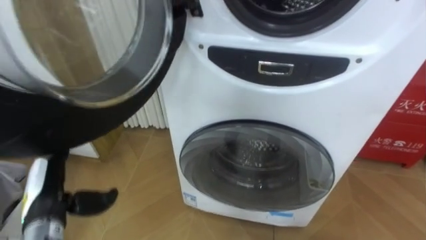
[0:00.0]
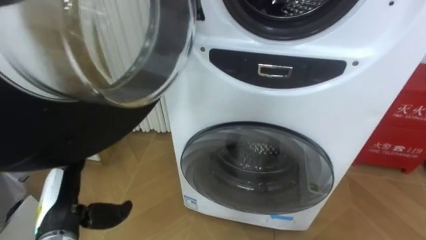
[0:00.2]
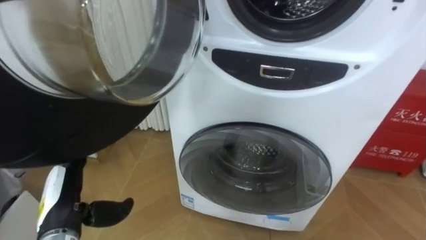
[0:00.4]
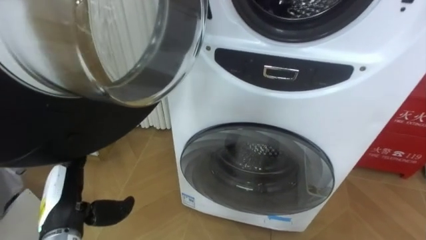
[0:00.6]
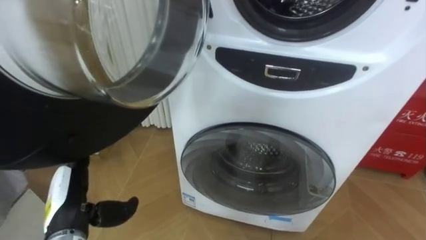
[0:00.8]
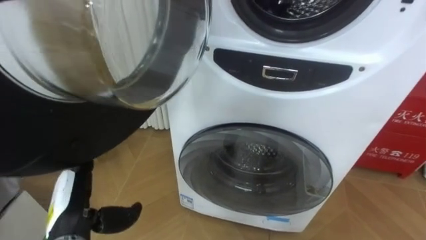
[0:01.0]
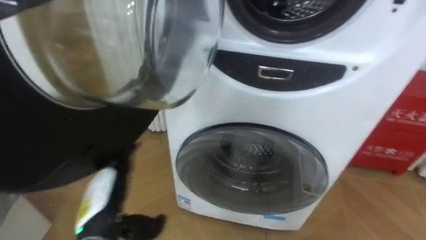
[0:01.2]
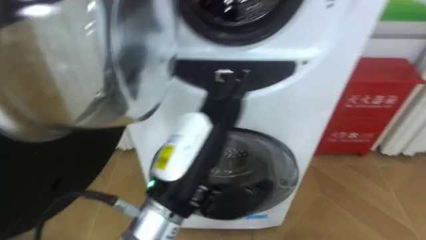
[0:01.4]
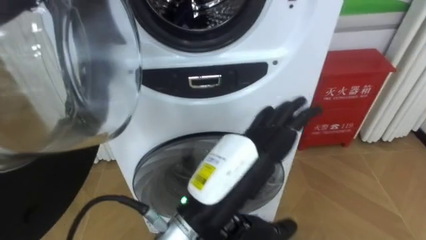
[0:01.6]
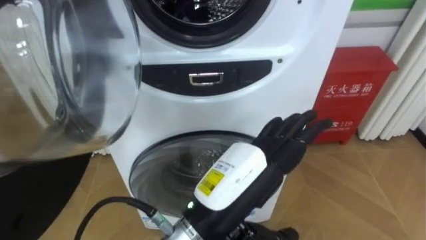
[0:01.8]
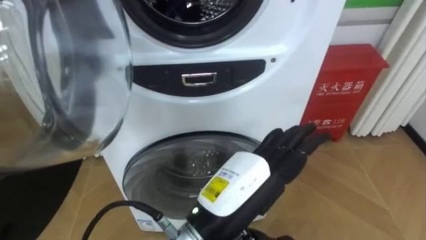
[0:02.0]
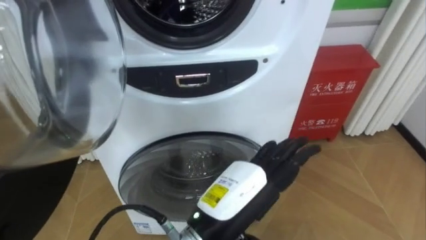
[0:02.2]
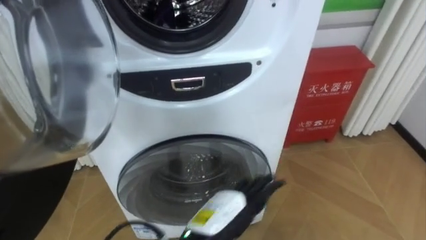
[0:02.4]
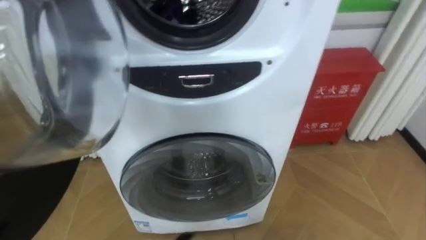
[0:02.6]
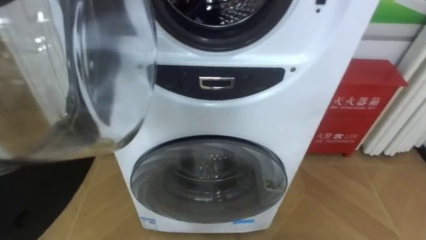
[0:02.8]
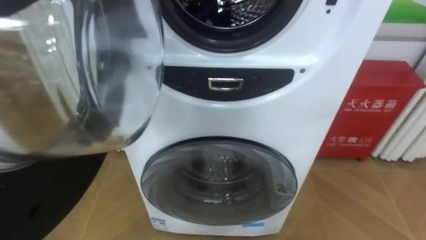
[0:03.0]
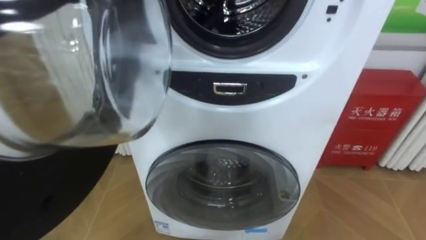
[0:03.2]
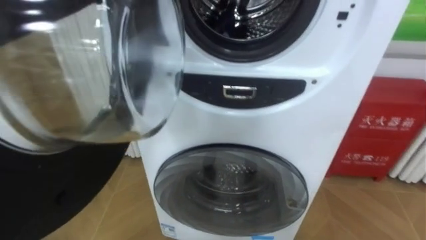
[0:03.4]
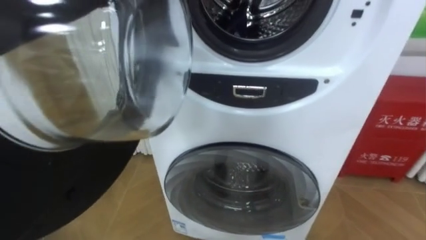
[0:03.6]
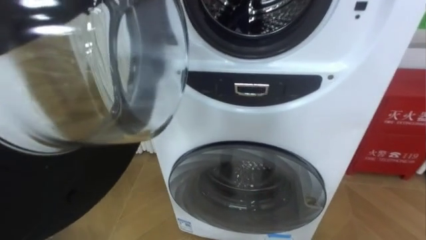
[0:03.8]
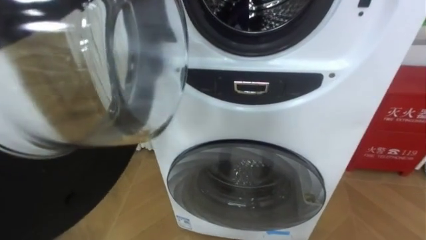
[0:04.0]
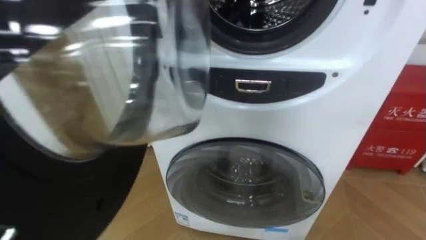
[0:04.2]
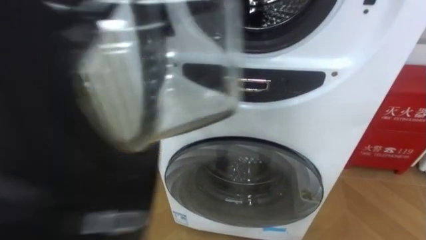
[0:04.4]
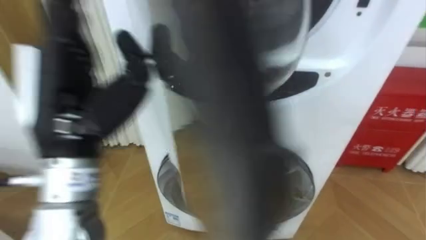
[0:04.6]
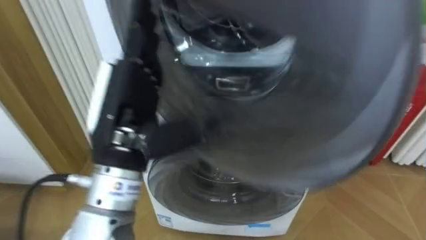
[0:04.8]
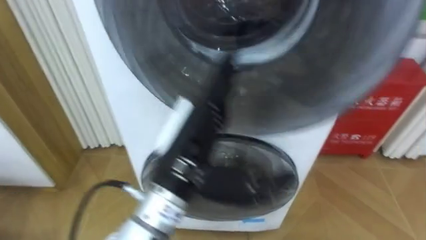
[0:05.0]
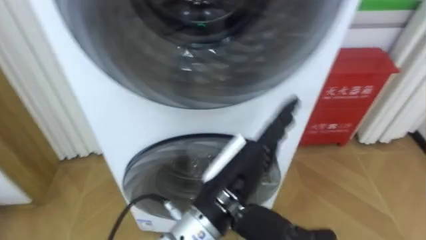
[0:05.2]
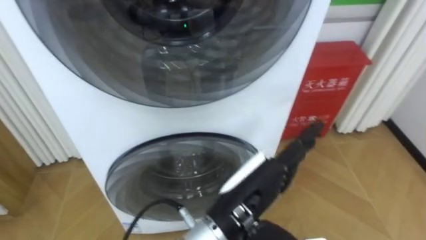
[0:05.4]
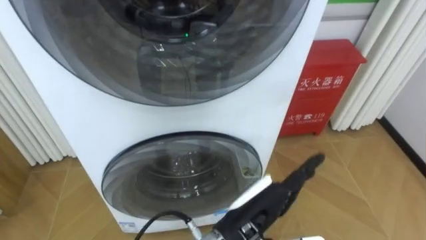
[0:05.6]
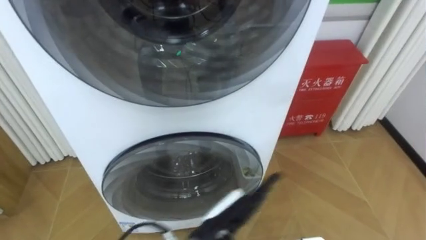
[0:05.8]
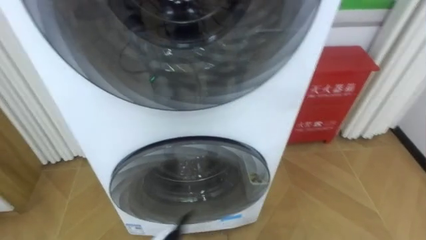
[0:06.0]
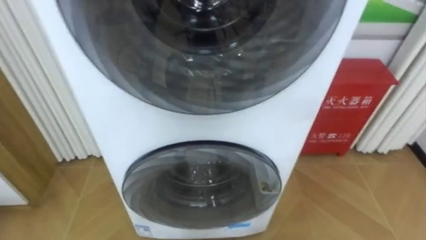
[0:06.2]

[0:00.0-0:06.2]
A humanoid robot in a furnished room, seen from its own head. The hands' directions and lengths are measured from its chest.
Task of the whole recording: Open the washing machine door, take out the yellow clothes, place them in the box on the right, and close the washing machine door.
0:00.0 to 0:01.6: The left hand shifts about 30 cm to the right and upward.

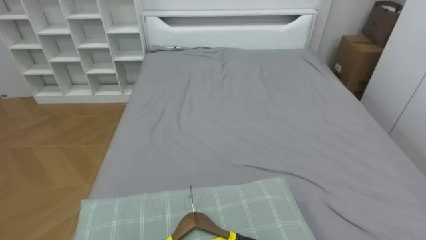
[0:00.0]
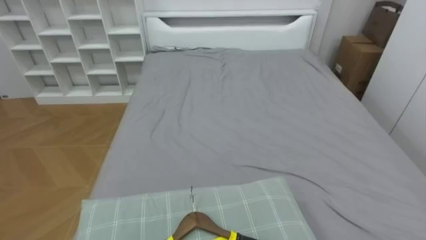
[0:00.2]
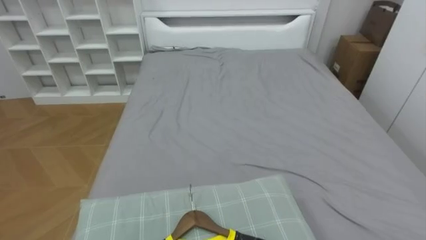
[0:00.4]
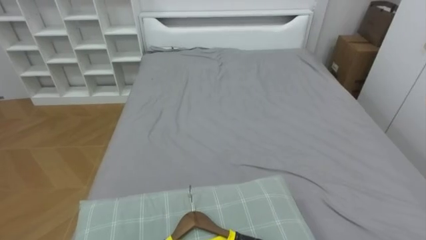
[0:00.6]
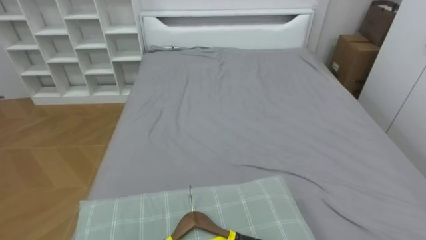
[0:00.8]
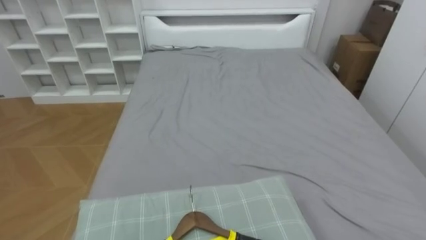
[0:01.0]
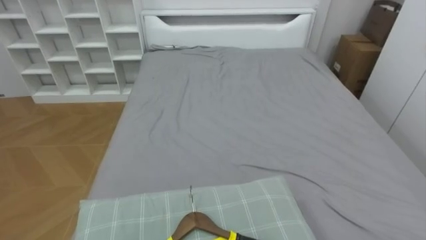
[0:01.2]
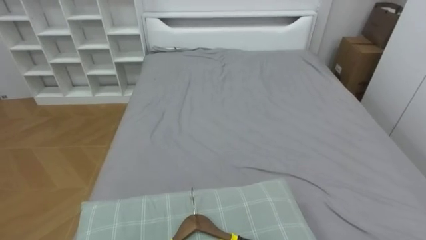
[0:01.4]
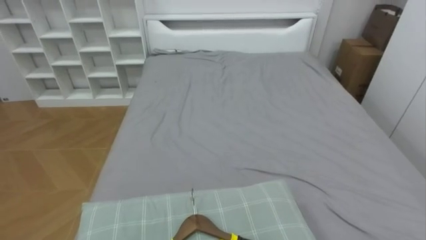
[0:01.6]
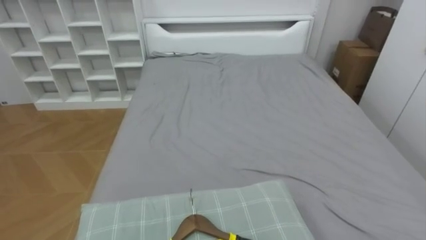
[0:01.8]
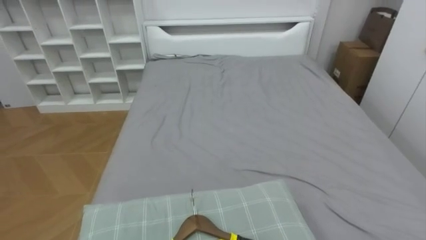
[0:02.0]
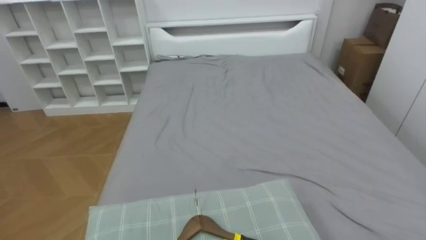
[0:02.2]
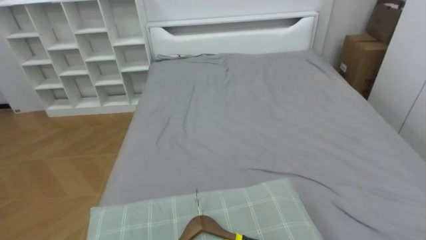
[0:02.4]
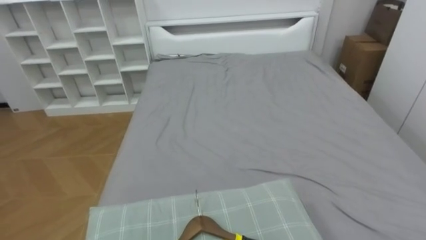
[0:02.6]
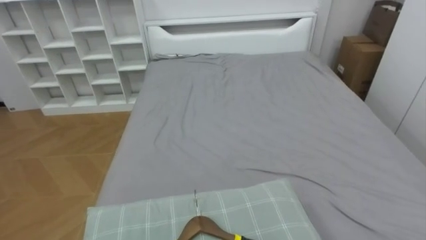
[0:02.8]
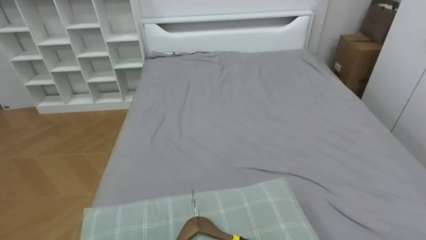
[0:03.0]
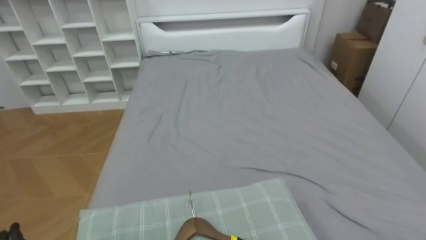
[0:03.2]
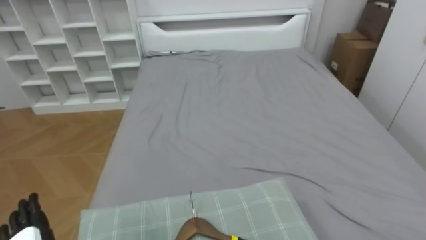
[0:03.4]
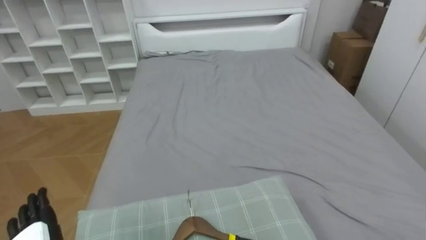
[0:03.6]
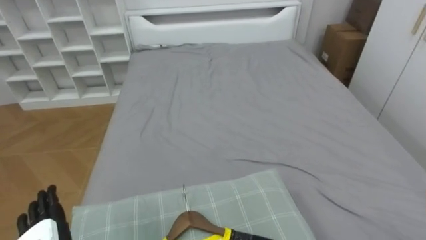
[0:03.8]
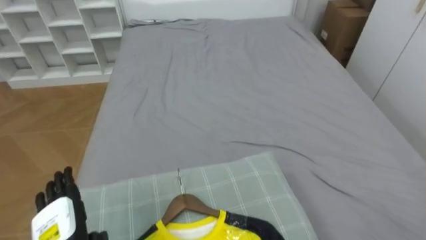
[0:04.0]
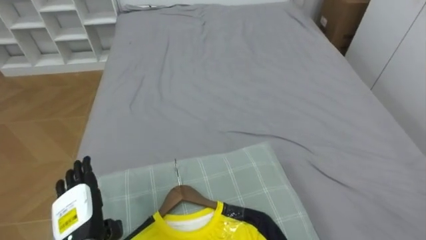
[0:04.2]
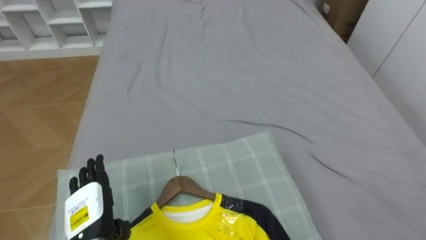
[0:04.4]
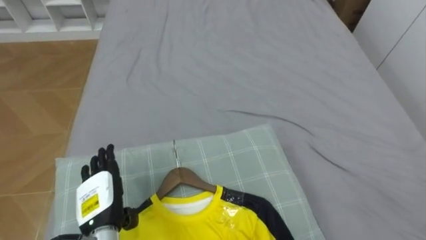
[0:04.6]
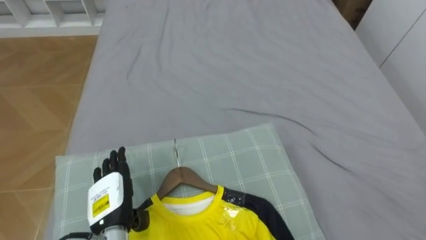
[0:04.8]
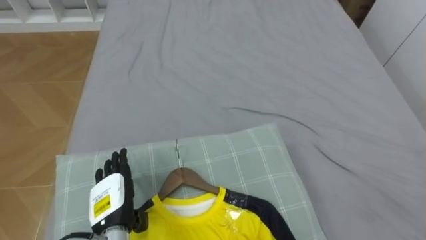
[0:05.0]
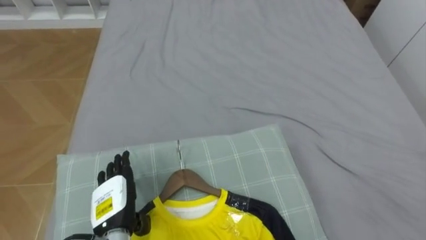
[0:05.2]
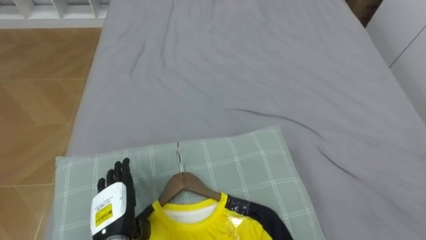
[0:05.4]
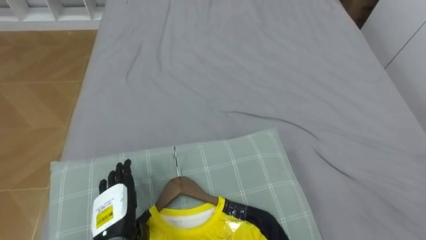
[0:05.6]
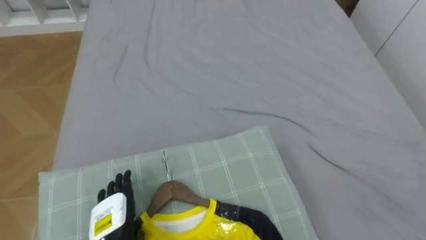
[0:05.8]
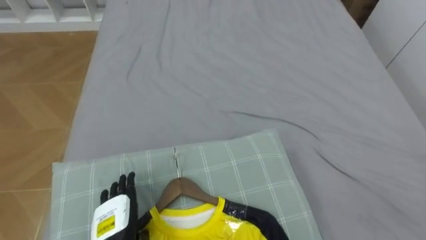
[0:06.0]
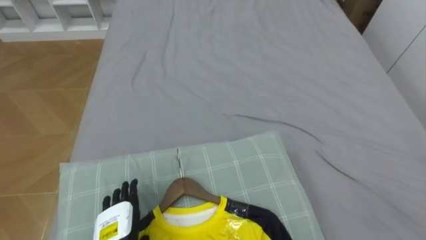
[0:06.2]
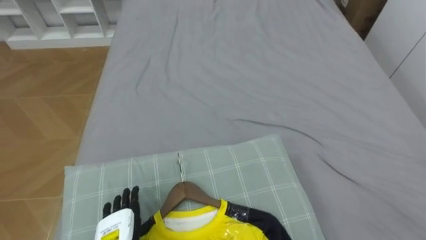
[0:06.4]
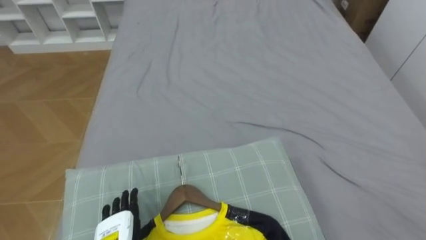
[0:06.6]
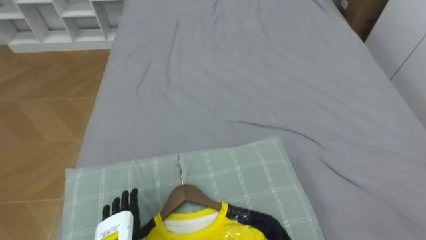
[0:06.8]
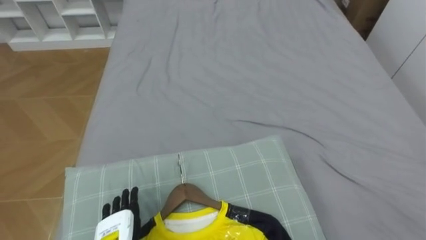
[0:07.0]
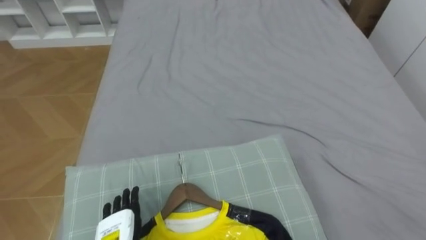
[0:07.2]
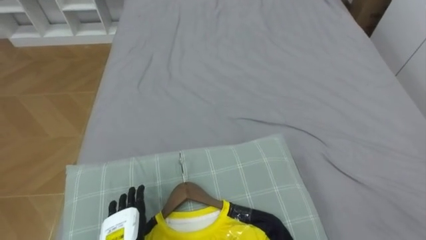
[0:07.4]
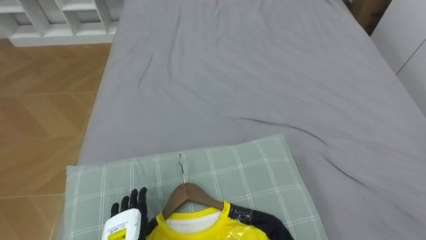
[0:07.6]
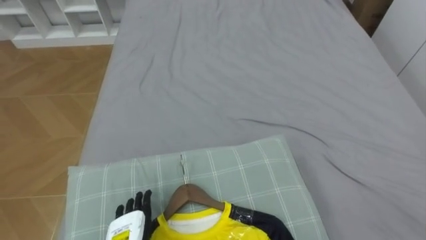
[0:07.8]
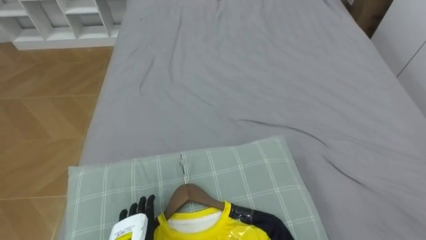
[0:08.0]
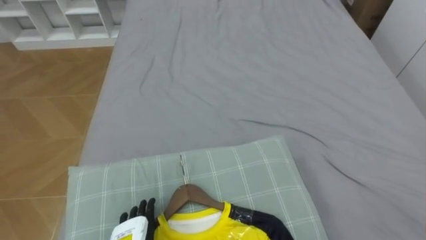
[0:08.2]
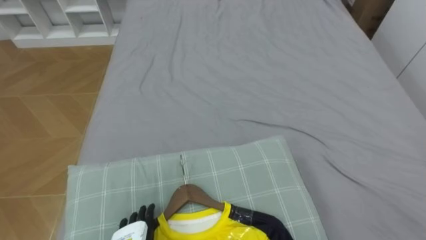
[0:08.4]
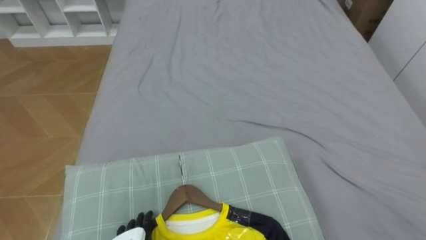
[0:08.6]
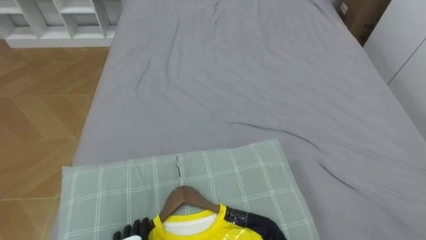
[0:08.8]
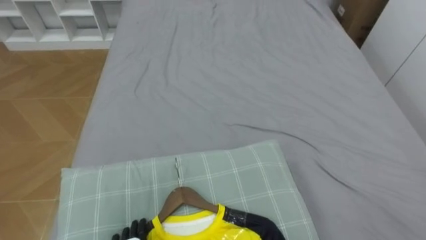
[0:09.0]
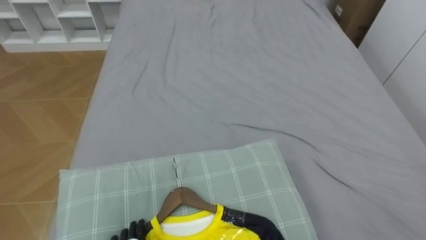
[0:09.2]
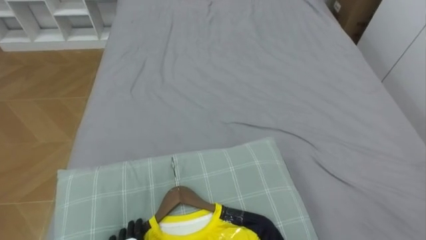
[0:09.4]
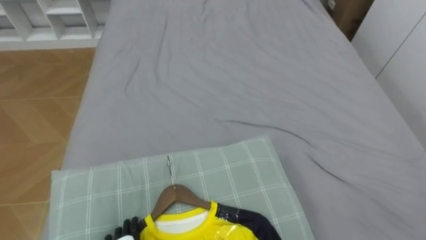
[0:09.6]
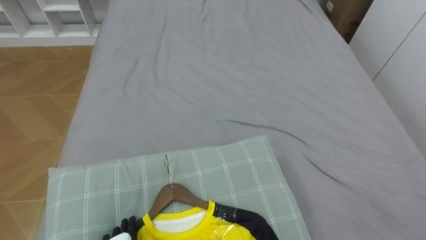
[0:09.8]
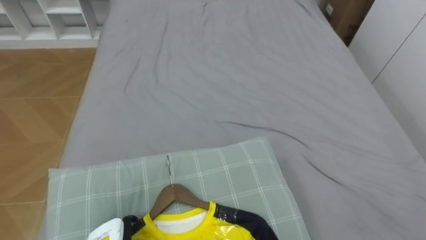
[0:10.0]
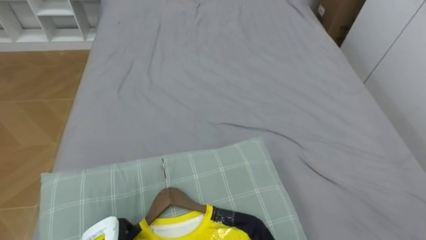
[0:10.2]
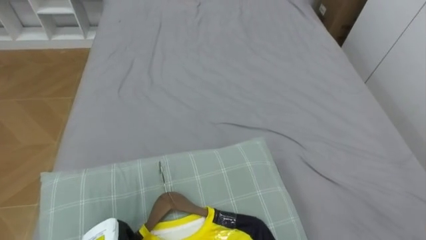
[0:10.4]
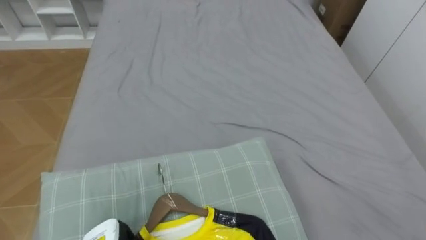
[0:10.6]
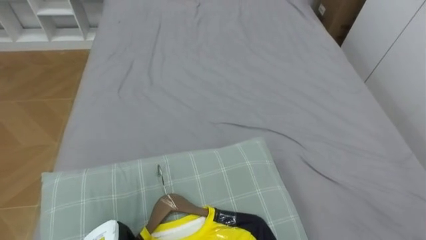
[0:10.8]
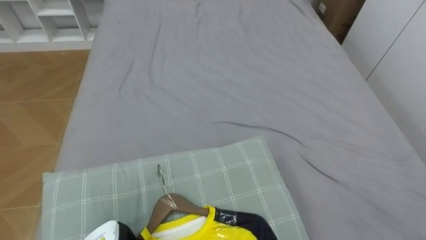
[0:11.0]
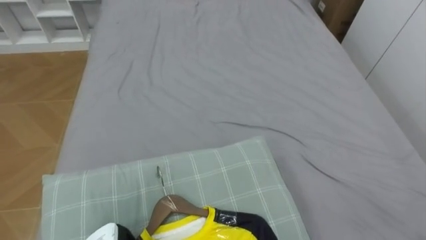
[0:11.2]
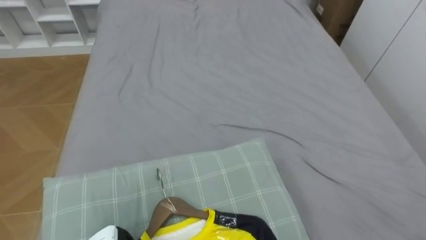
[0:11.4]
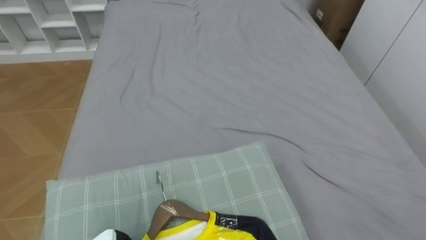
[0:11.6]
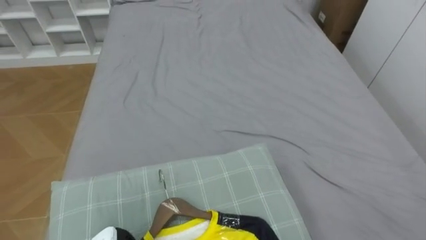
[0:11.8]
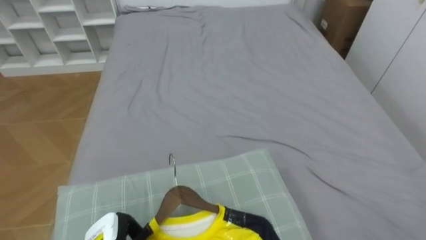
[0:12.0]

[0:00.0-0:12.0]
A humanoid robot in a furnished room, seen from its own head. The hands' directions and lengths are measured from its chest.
Task of the whole recording: Pick up the yellow shirt on the bed and hang it on the clothes rack on the right.
0:04.4 to 0:06.0: The left hand ends up some 5 cm from where it was.
